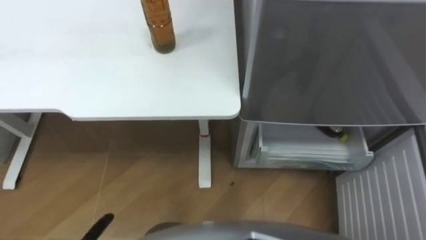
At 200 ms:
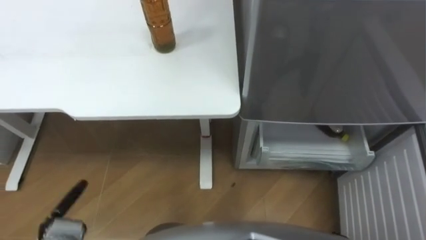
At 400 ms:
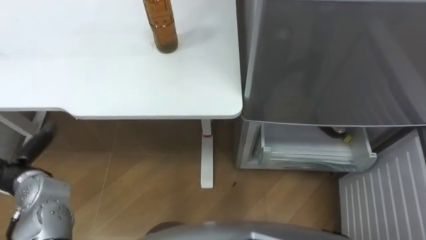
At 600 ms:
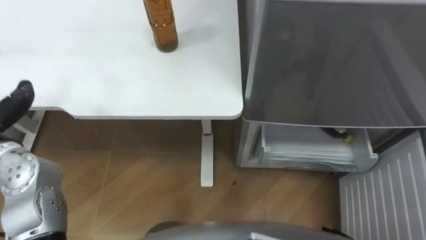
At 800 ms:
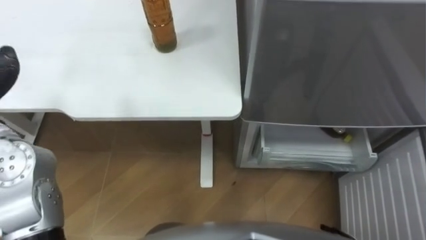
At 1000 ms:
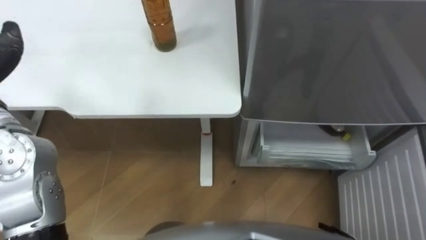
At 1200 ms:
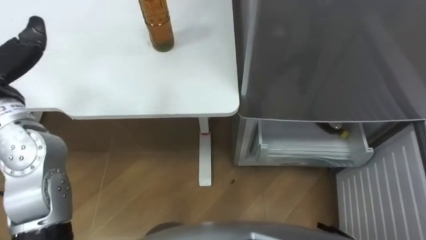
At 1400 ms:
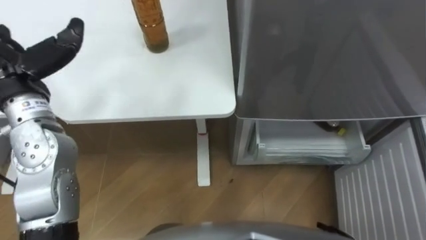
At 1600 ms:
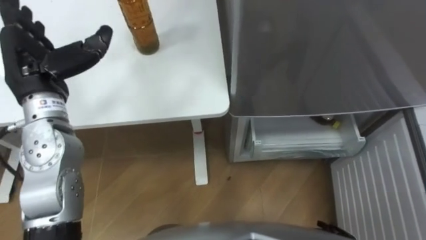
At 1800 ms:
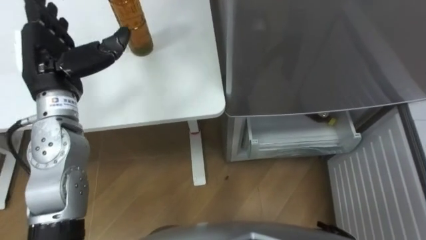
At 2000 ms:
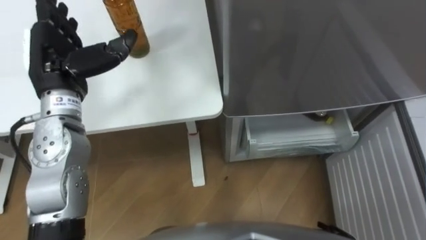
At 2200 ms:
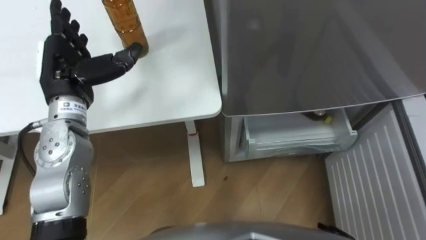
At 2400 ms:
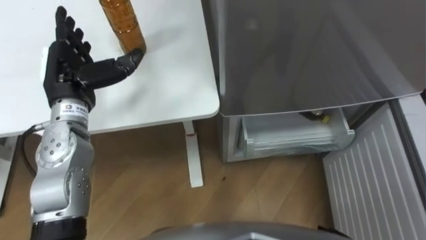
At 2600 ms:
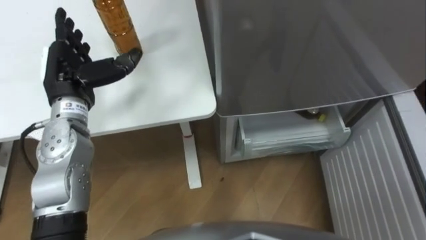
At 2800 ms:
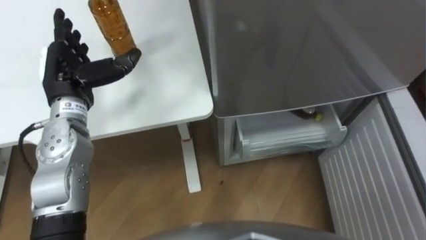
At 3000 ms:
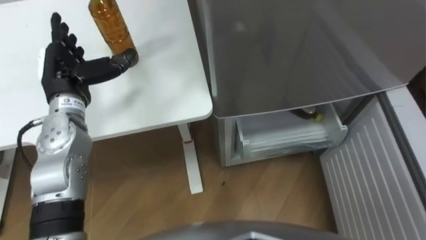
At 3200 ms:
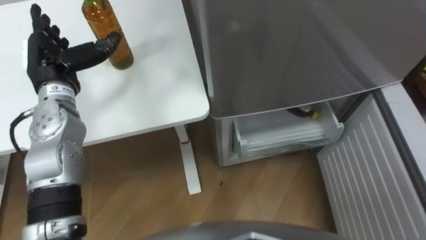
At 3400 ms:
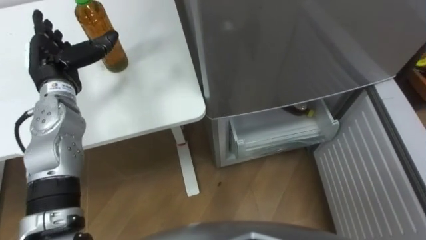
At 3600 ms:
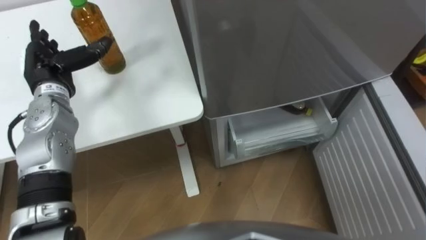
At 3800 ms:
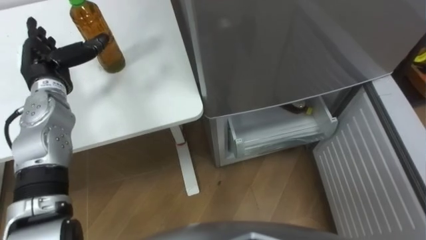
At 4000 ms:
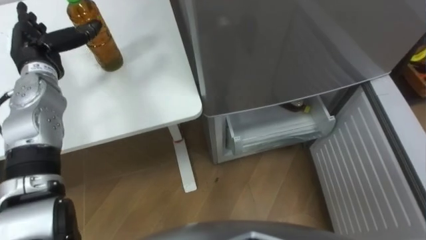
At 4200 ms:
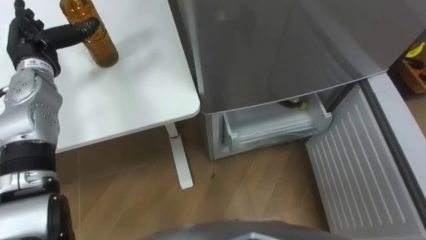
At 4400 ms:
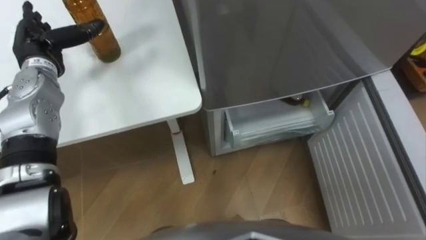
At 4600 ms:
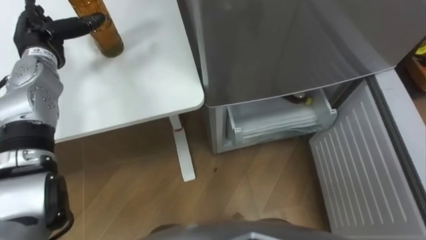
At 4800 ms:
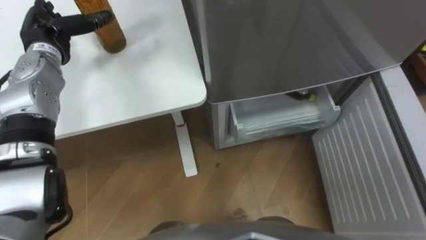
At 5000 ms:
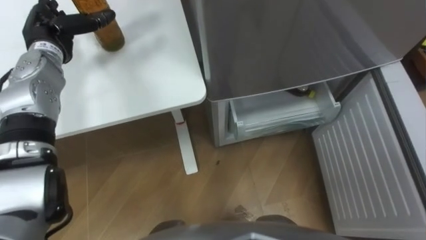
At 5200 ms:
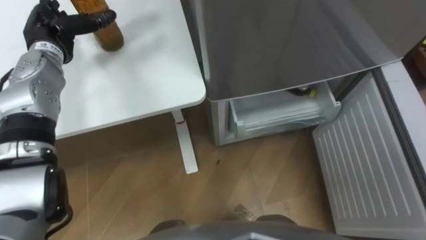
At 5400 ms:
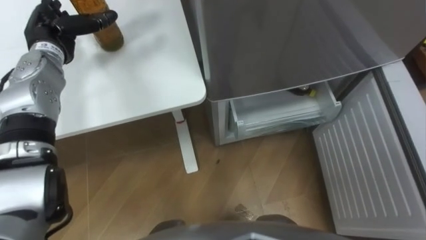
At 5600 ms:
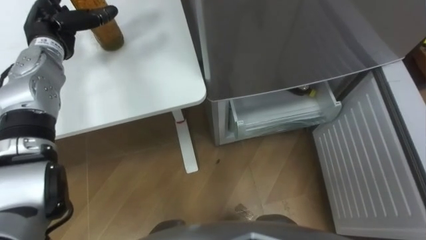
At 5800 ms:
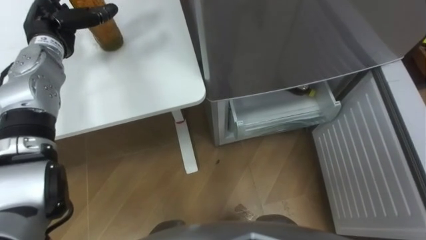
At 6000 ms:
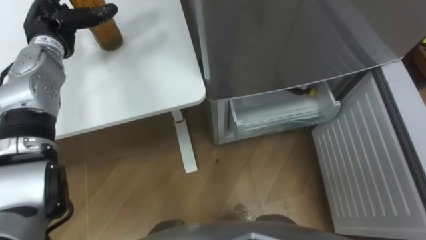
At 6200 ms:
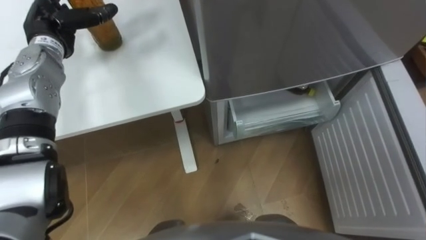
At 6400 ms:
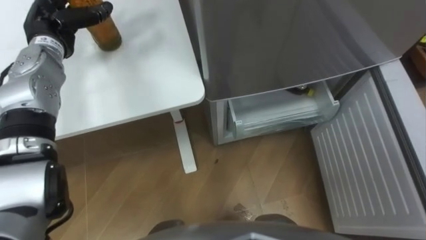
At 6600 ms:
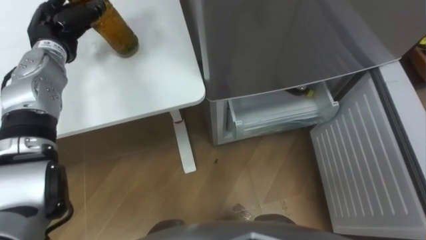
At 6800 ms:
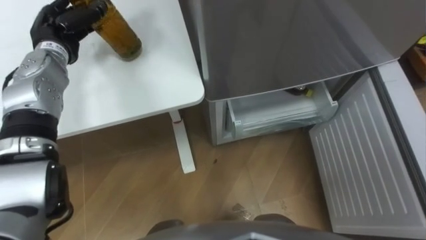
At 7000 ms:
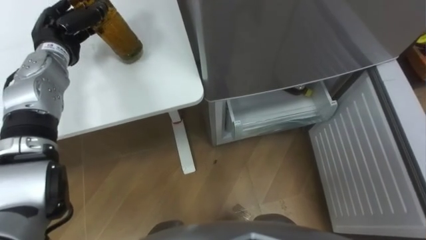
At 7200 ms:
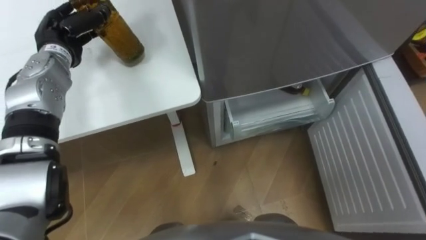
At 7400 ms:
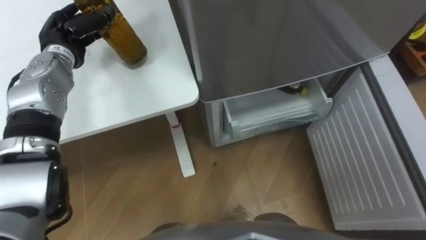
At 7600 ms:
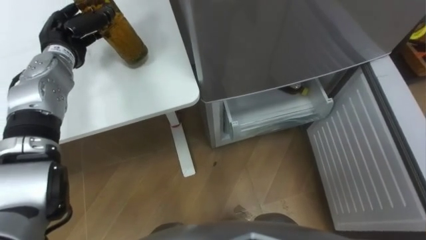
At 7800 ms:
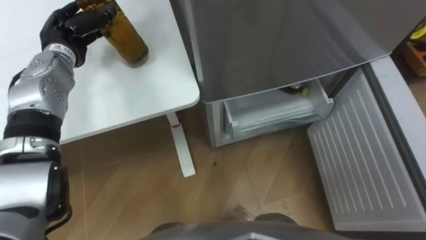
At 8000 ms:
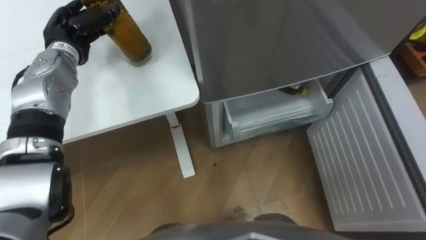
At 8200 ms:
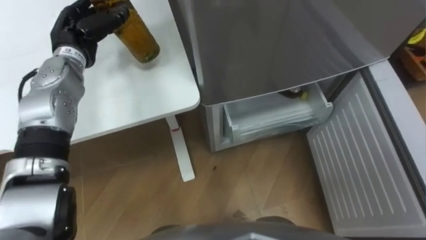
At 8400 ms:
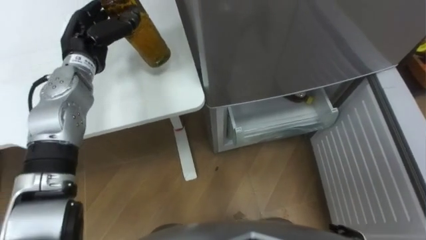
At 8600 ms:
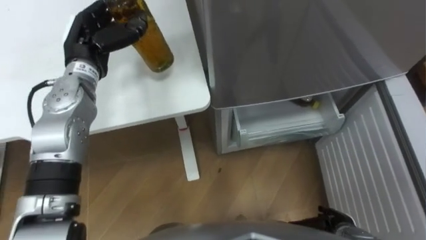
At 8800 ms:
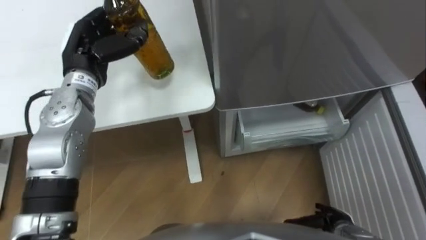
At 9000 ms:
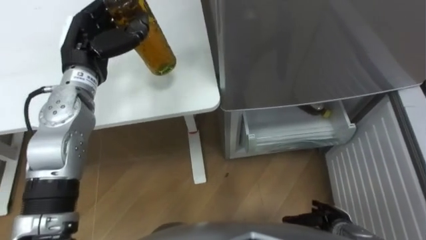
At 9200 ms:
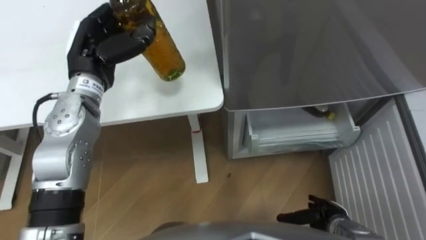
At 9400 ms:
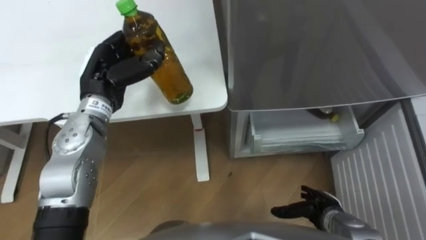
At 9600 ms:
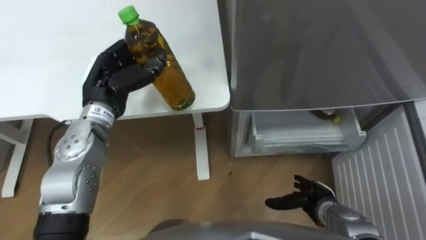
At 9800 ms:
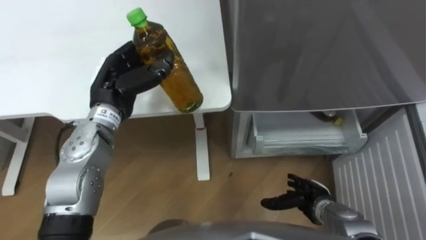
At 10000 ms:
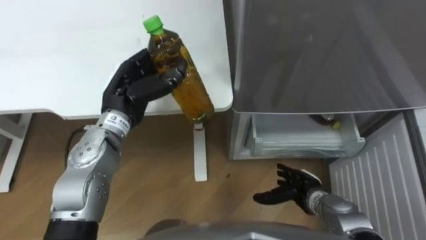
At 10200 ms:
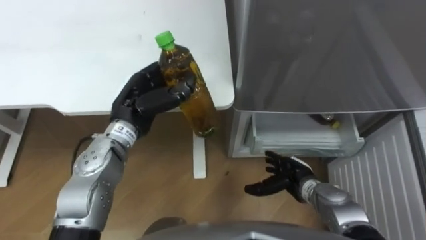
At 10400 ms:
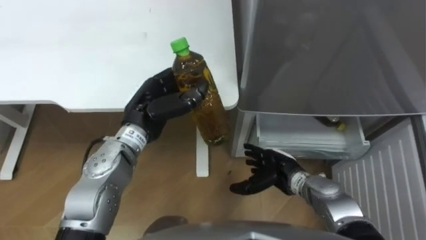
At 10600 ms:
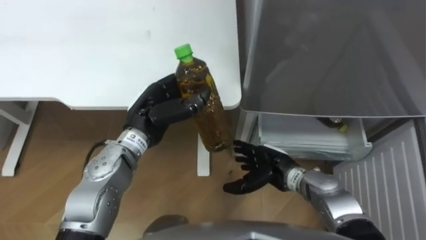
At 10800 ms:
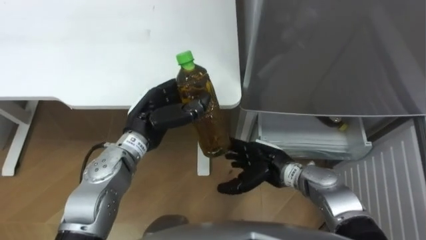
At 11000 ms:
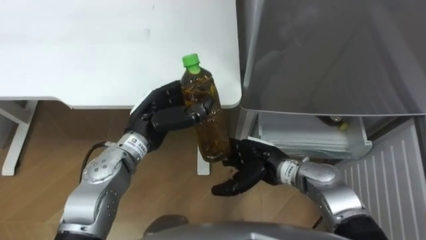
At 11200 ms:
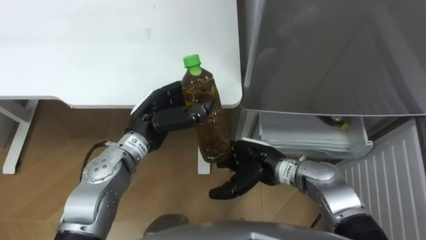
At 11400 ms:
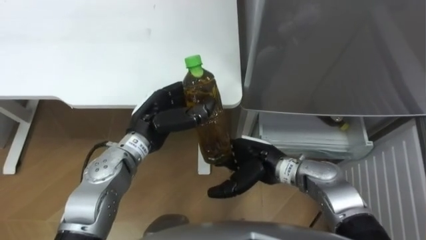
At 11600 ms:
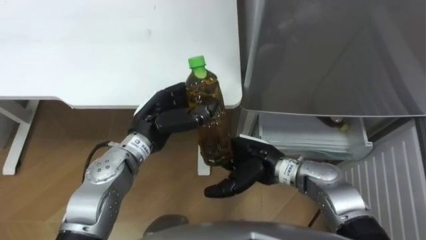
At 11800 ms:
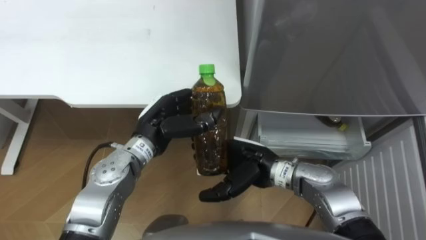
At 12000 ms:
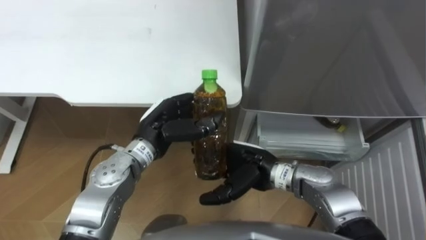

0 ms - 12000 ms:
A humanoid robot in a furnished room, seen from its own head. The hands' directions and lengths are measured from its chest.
Task of the whole recording: Place the drink on the table on the bottom shelf of the refrigerator, then close the drawer and the refrigerator door.
1600 ms - 3000 ms: The left hand shifts approximately 5 cm downward.
3000 ms - 4400 ms: The left hand shifts approximately 10 cm forward and to the left.
6000 ms - 7600 ms: The left hand closes up.
7600 ms - 9000 ms: The left hand shifts about 10 cm to the right and backward.
9000 ms - 10400 ms: The right hand moves to the left, forward and upward, some 15 cm, while the left hand moves to the right, downward and backward, some 15 cm.
10400 ms - 12000 ms: The right hand goes some 10 cm to the left and upward.

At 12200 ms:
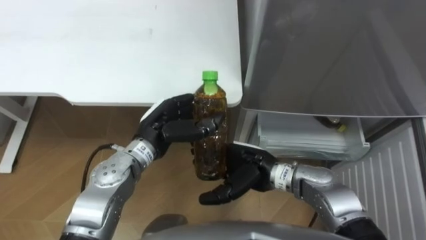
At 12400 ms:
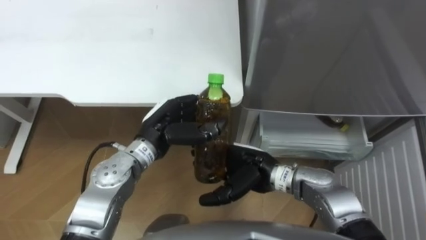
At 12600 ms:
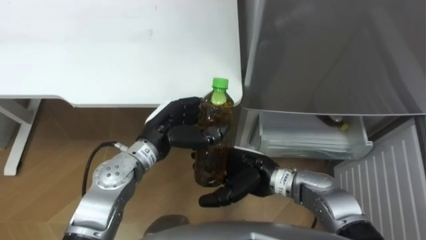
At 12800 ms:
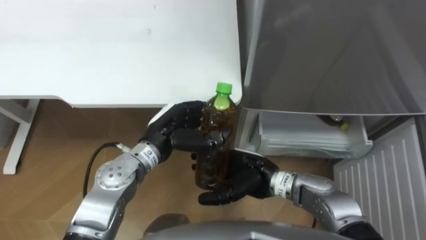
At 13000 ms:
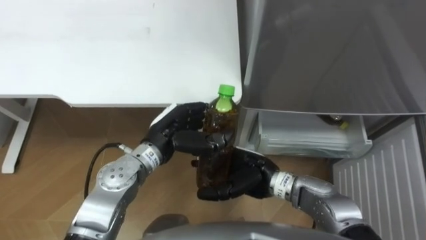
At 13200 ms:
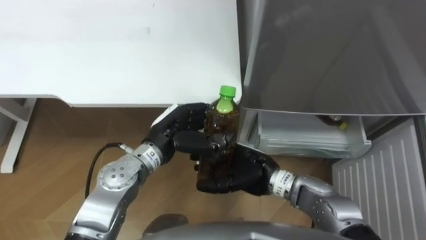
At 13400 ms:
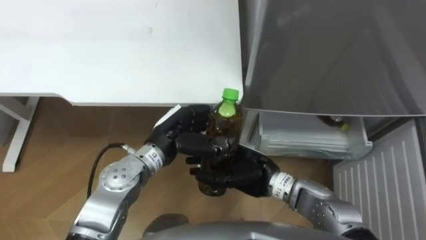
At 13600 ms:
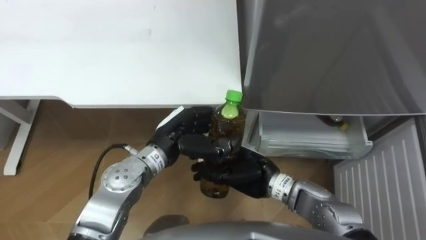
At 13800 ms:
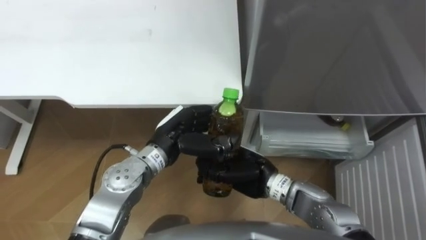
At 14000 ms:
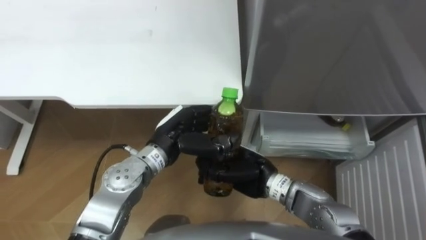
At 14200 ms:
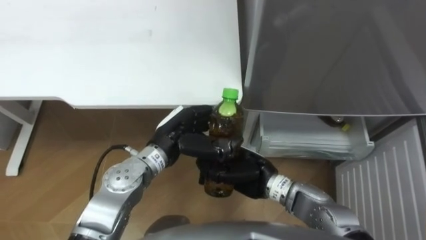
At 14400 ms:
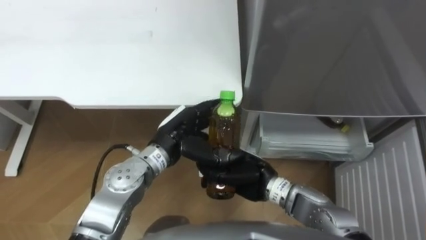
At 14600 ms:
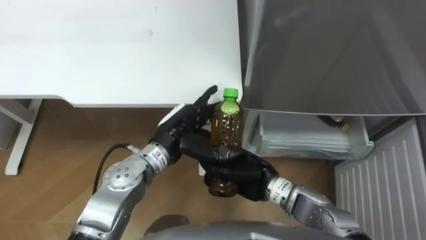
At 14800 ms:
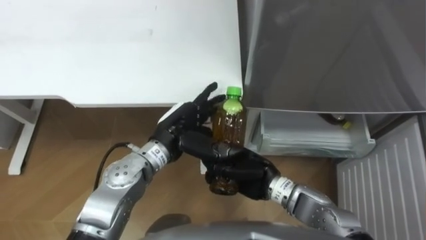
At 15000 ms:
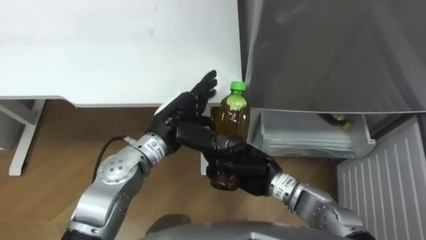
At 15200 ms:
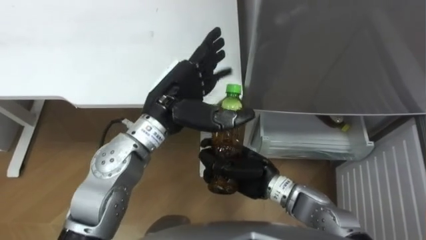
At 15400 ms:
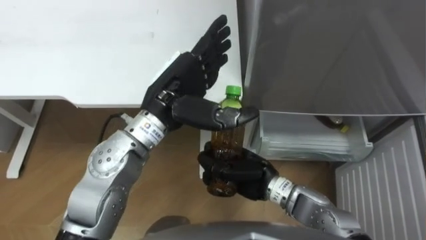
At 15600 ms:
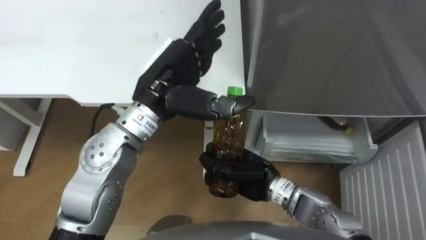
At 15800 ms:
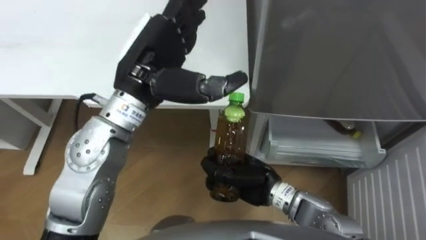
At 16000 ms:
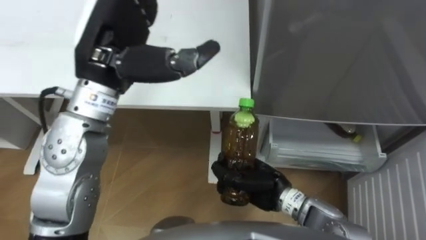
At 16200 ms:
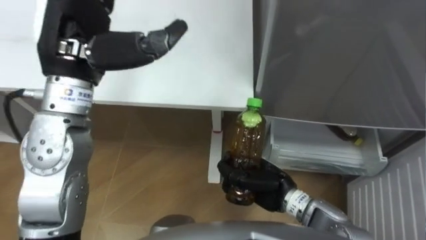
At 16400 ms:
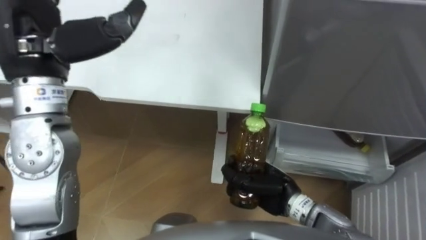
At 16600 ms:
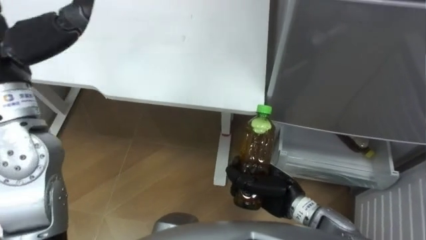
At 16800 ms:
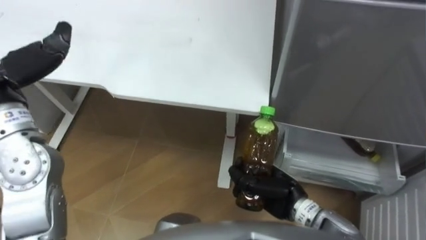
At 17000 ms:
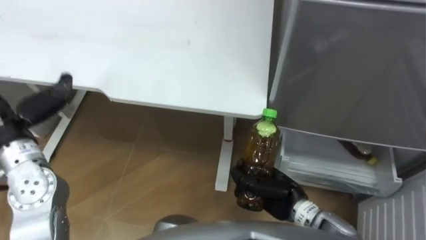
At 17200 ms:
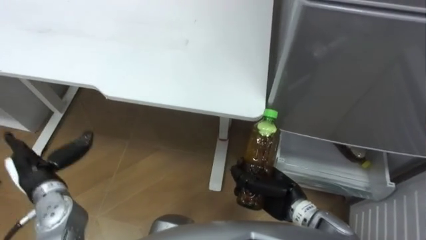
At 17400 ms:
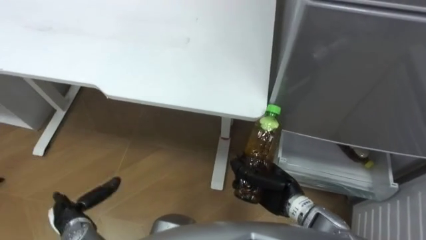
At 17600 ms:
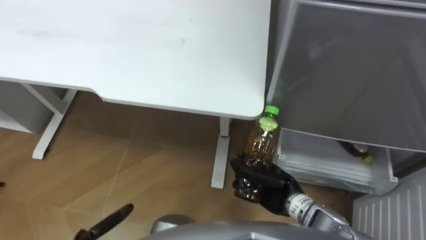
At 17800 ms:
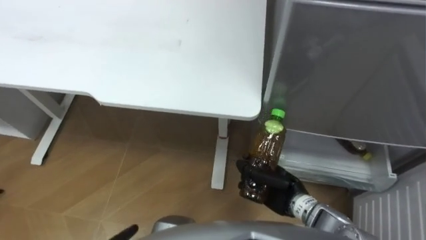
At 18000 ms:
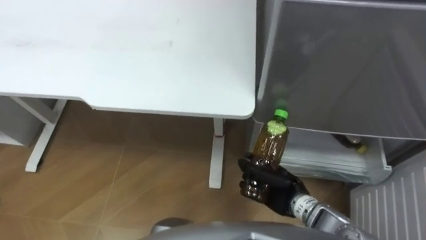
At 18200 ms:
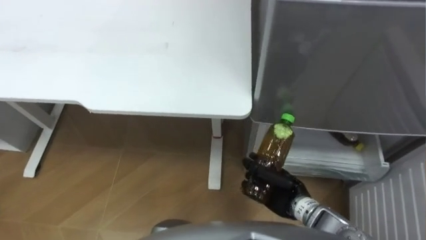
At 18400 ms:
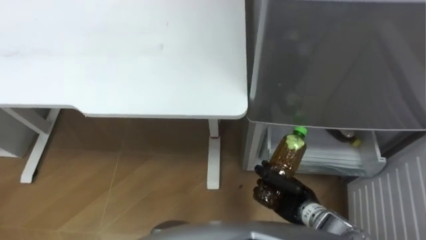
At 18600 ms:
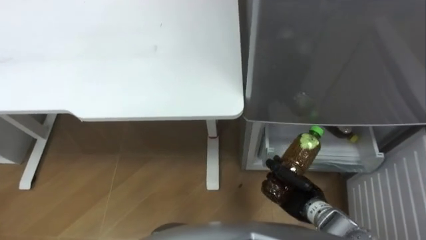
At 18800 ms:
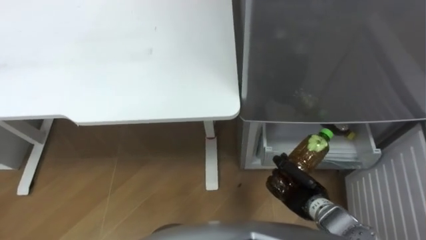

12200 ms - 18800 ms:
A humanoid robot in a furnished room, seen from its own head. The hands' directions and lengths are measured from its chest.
Task of the whole recording: Place the drink on the table on the bottom shelf of the refrigerator, then close the drawer and the refrigerator door.
12200 ms - 13800 ms: The right hand closes its fingers.
13800 ms - 15400 ms: The left hand is displaced upward by roughly 10 cm, and opens.
15400 ms - 17200 ms: The right hand shifts roughly 5 cm to the right.
17200 ms - 18800 ms: The right hand shifts some 5 cm to the right.
